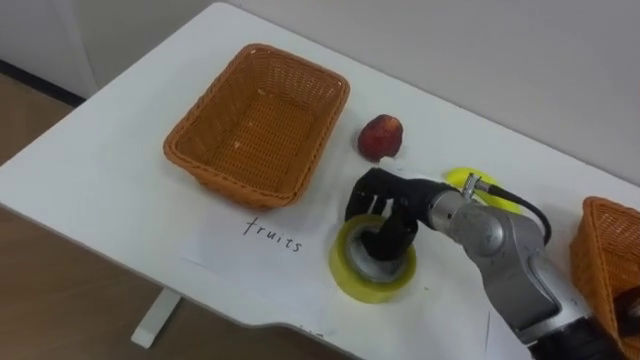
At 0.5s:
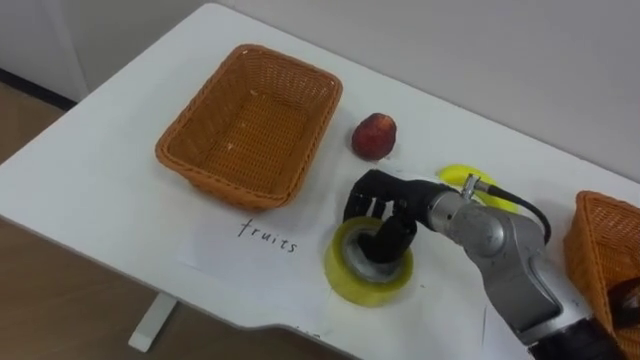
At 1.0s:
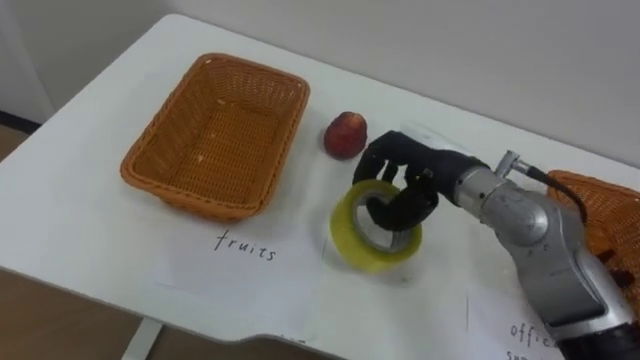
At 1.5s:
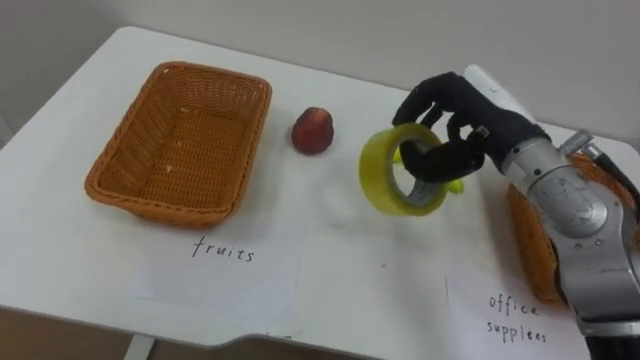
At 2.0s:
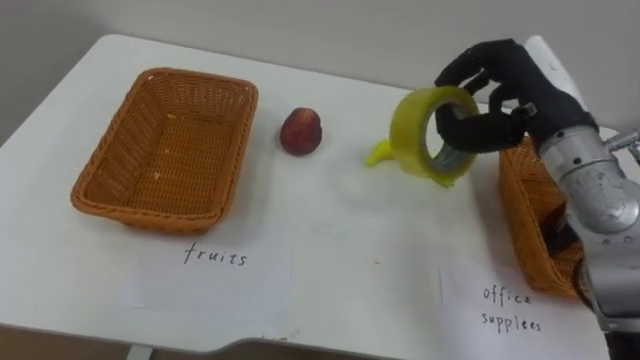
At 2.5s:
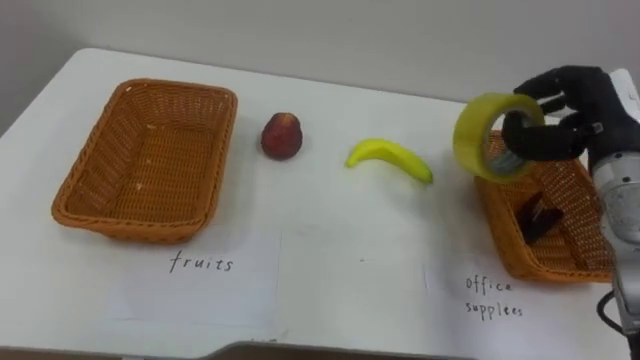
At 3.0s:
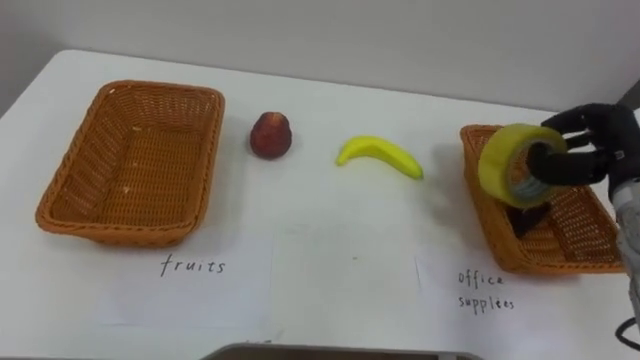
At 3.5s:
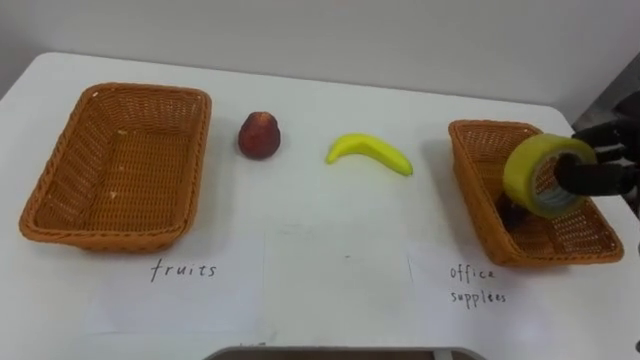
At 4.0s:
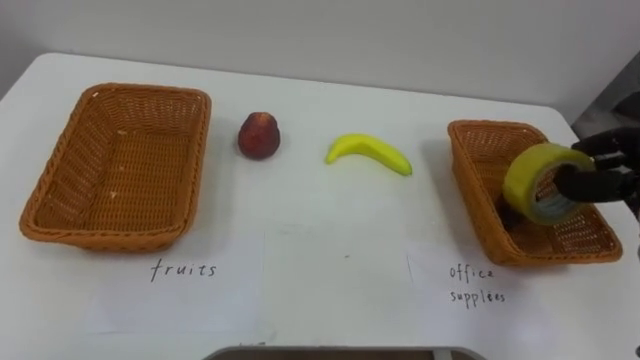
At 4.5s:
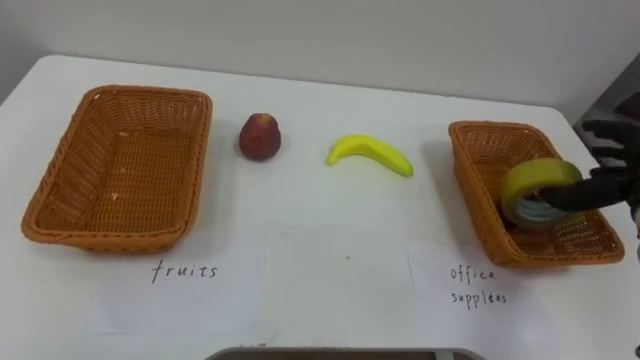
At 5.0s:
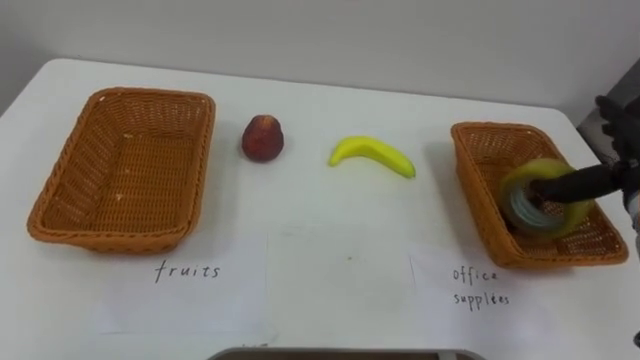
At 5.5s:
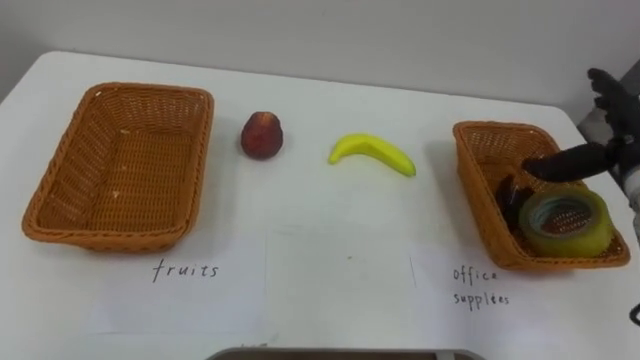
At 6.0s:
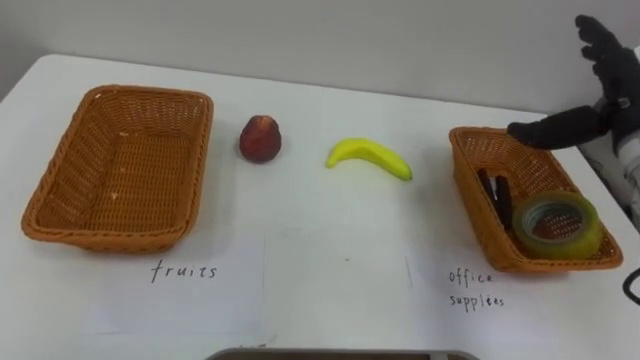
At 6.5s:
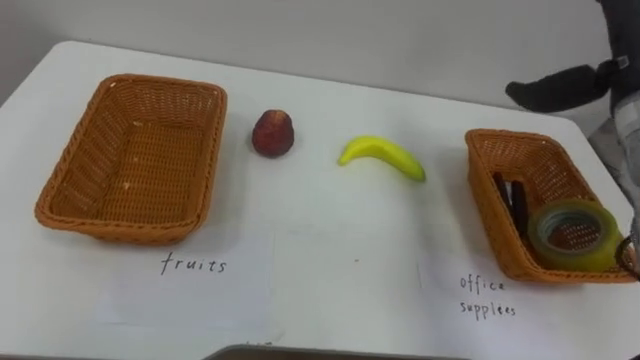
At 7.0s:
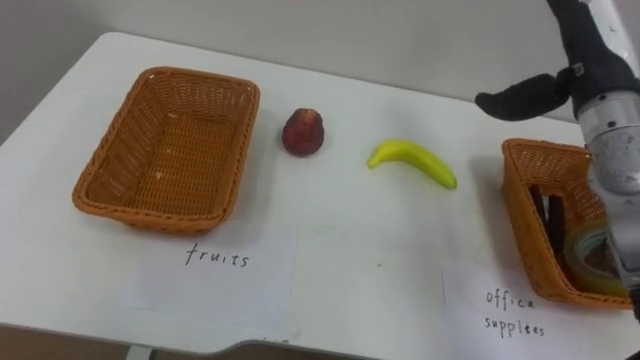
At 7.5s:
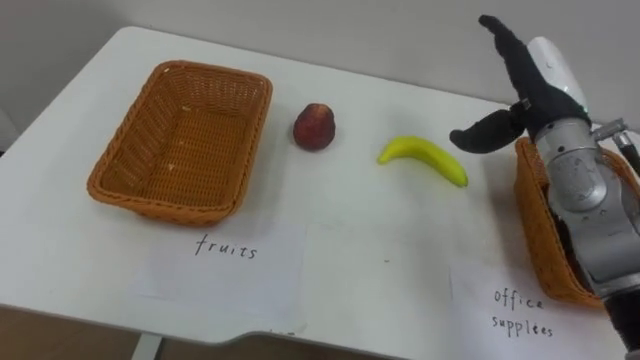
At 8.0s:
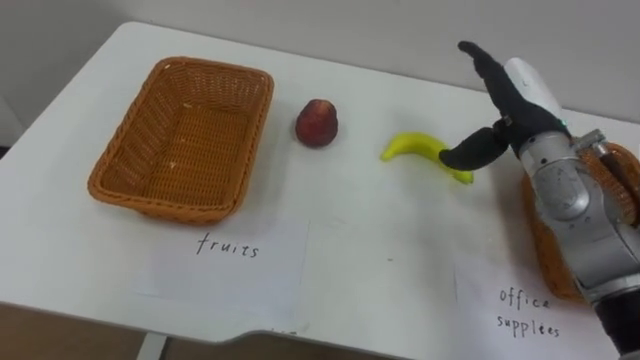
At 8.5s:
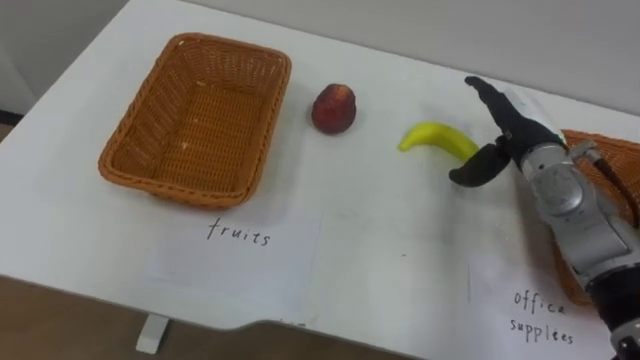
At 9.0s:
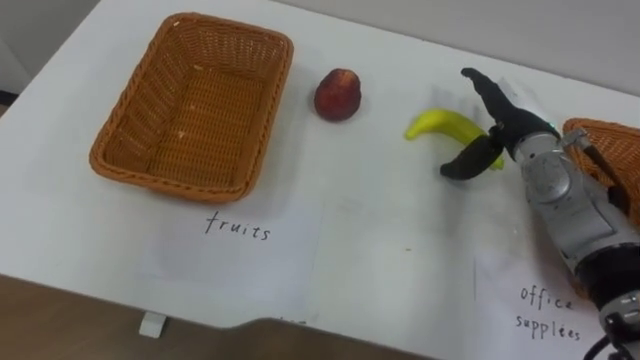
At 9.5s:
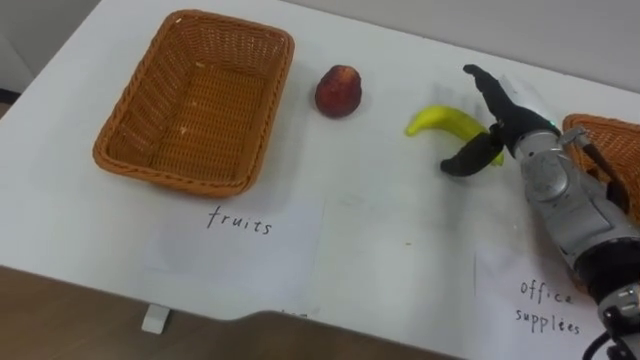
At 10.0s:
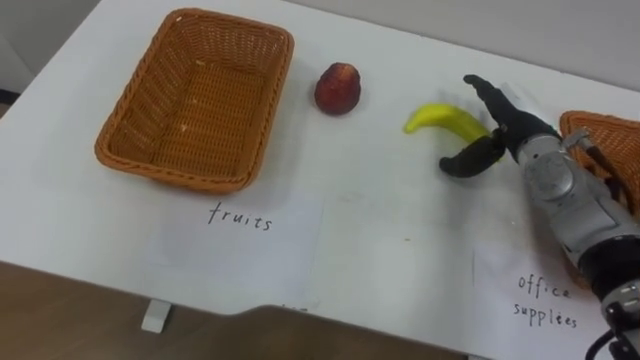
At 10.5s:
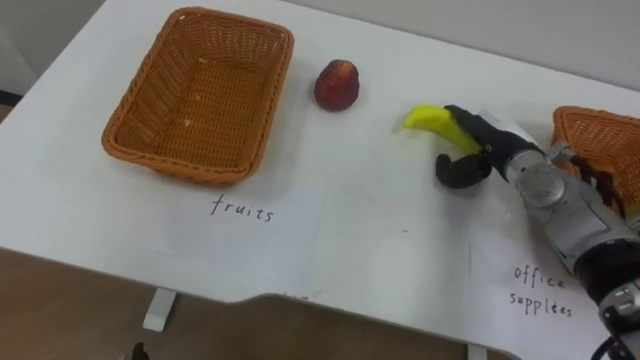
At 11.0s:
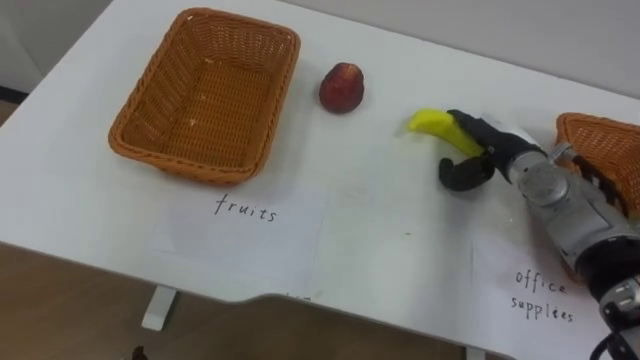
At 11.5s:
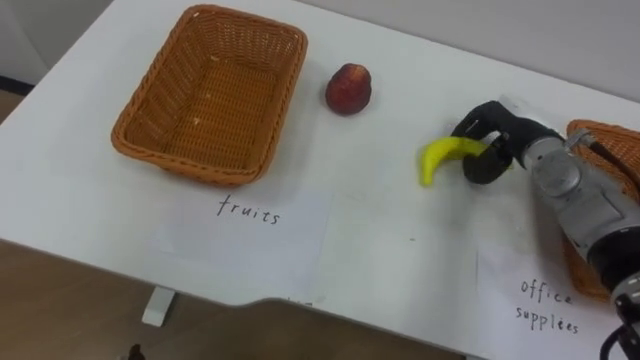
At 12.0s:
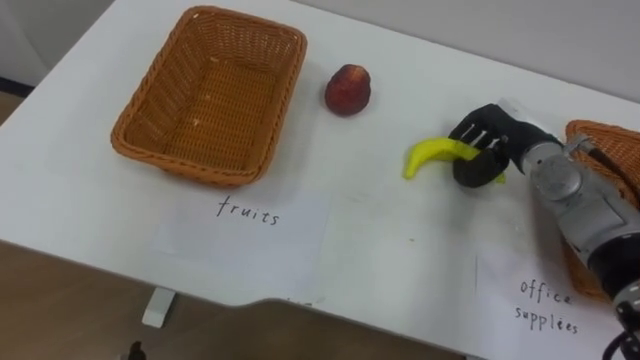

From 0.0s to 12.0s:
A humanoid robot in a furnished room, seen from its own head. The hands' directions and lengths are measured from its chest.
Task of the whole recording: Separate the items on the table and place them into the two baskets.
From 0.0s to 2.0s: The right hand goes about 15 cm upward and to the right.
From 6.0s to 8.0s: The right hand moves to the left, some 10 cm.
From 8.0s to 10.0s: The right hand heads downward, covering some 5 cm.
From 10.0s to 12.0s: The right hand closes its fingers.

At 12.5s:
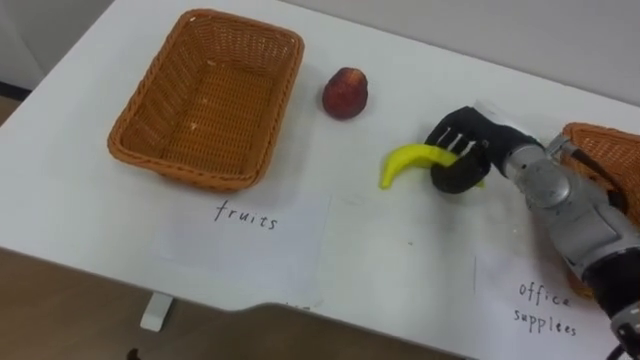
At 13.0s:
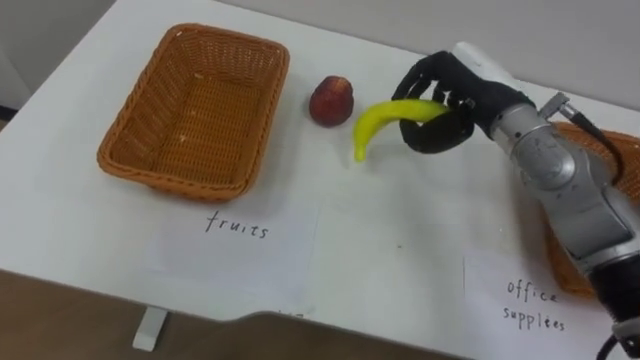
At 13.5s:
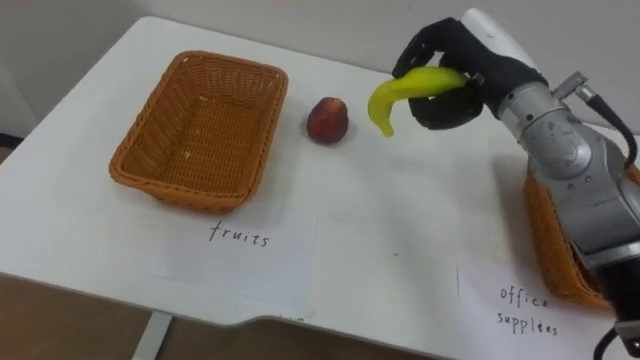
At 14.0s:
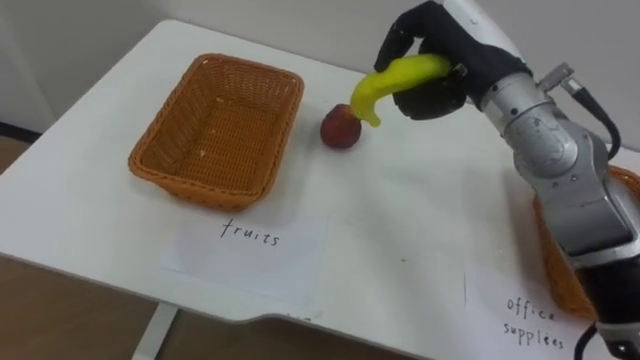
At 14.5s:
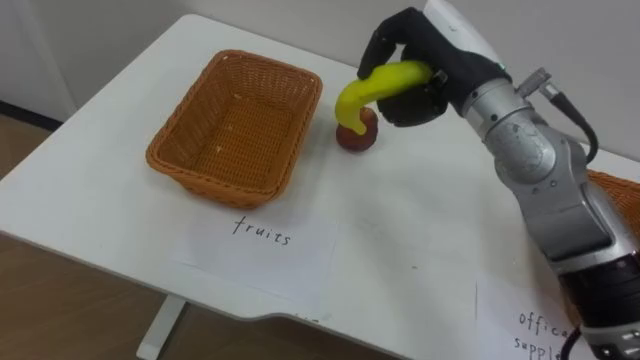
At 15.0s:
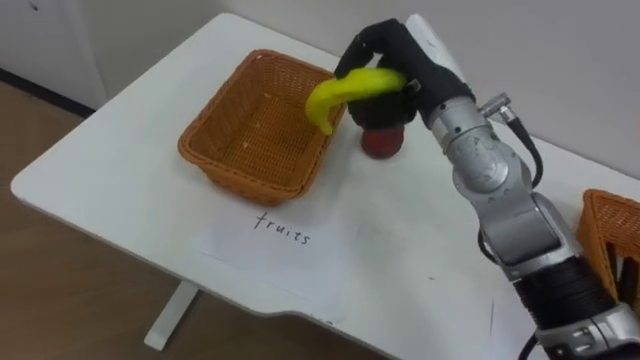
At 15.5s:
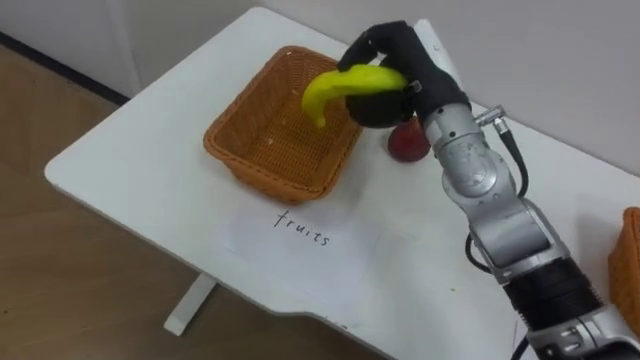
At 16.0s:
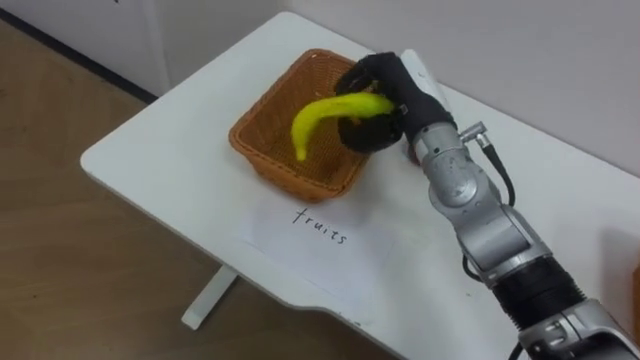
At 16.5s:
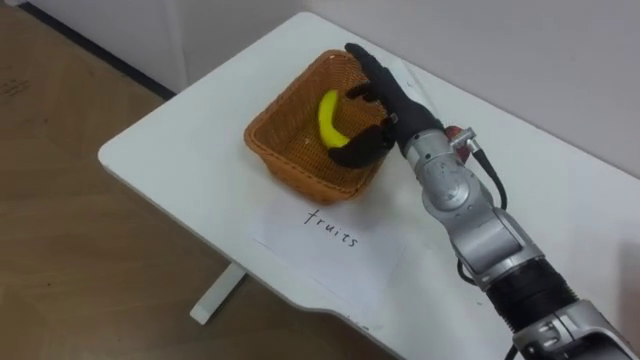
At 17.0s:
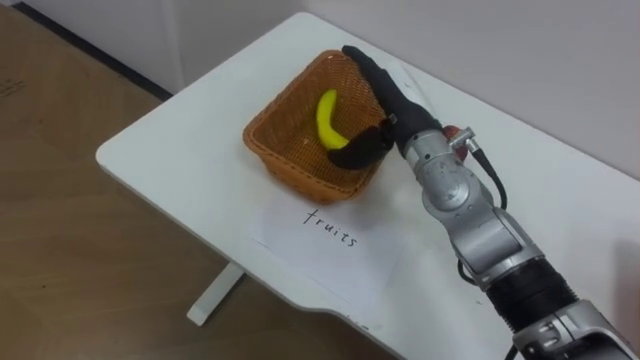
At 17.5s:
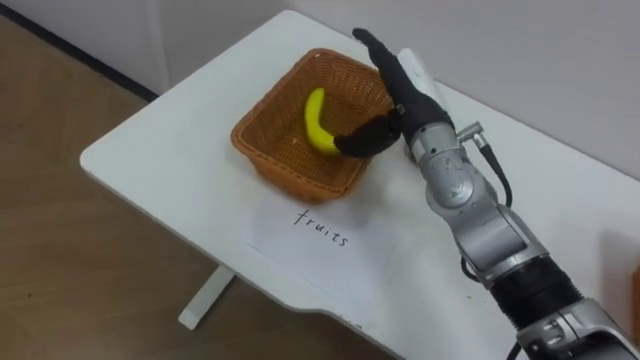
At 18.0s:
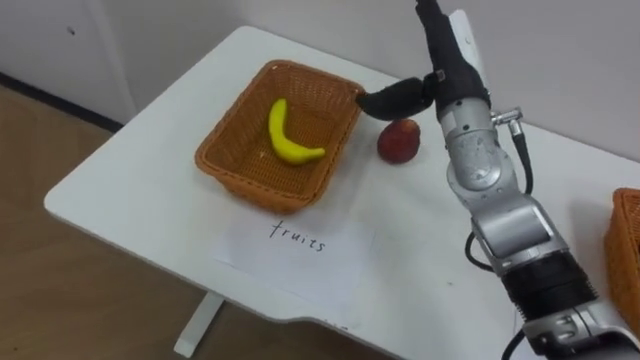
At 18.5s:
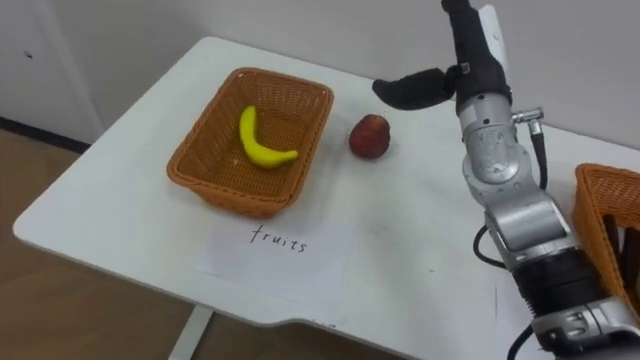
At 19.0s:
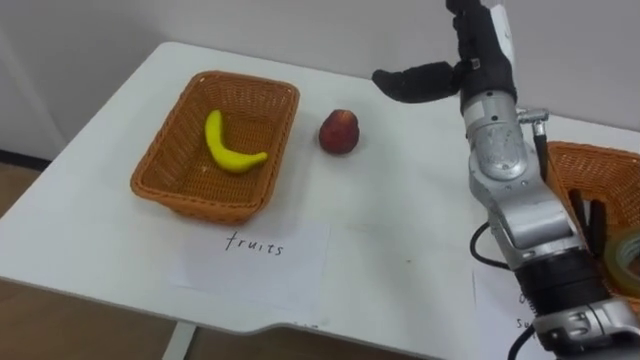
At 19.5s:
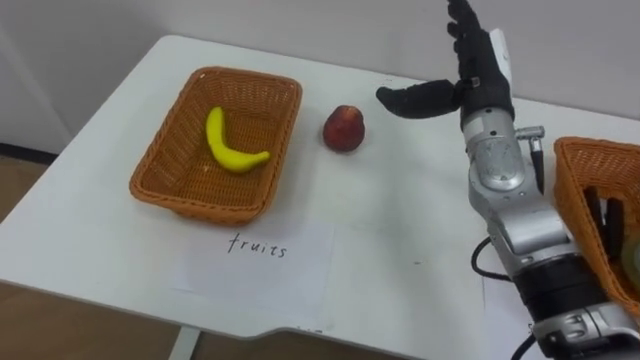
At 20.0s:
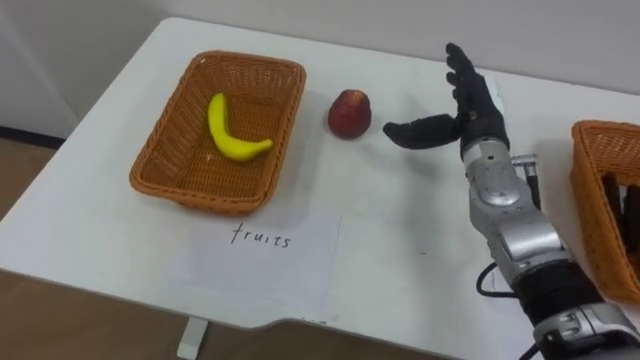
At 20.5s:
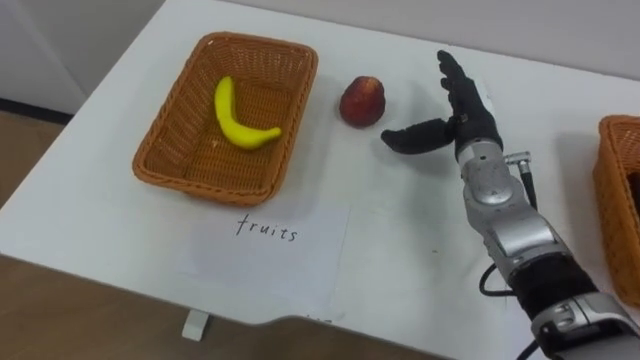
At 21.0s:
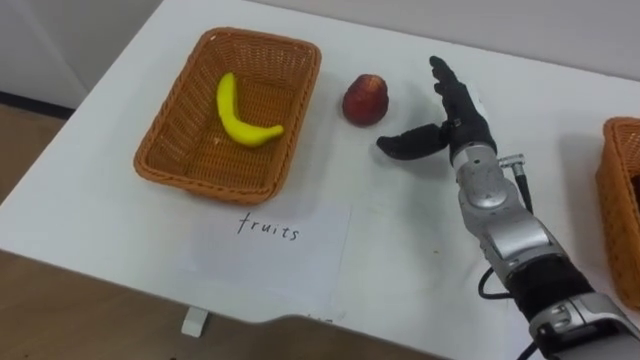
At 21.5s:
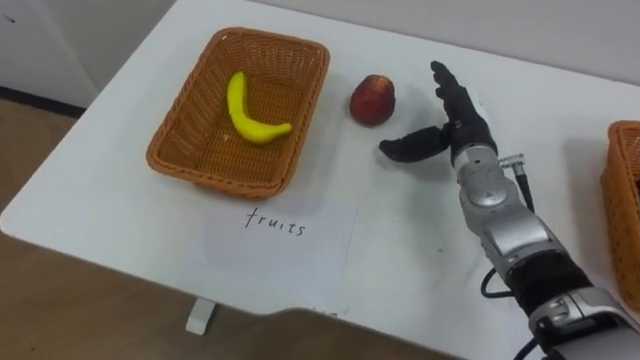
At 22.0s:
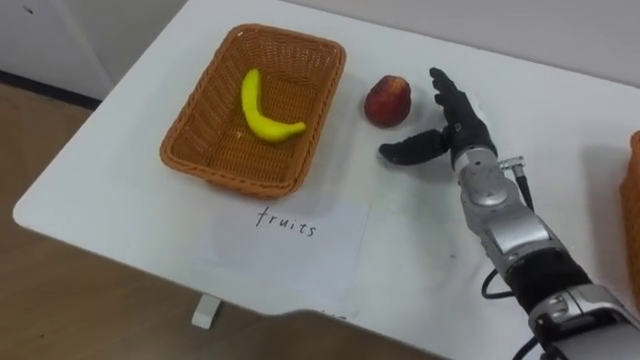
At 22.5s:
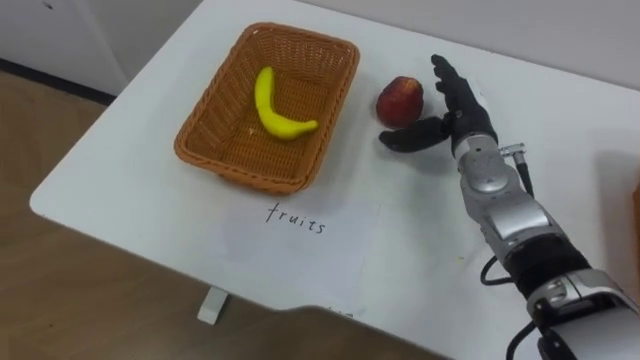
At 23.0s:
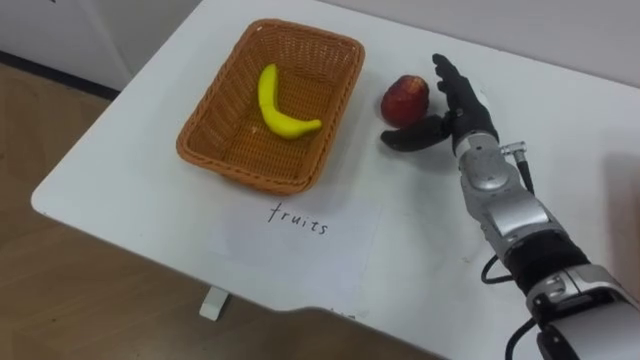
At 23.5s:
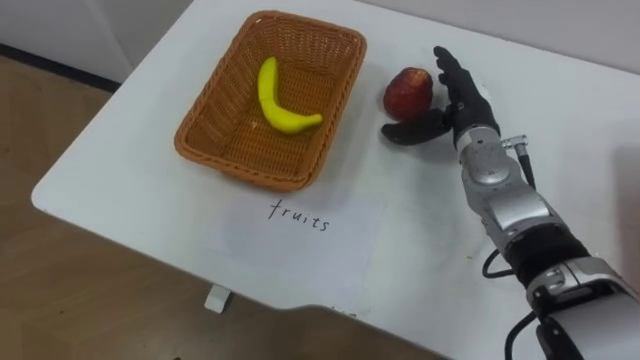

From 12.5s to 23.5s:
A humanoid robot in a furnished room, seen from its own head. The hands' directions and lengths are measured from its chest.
Task of the whole recording: Separate the items on the table and place them into the two baskets.
From 12.5s to 14.5s: The right hand shifts about 15 cm upward and to the left.
From 14.5s to 16.0s: The right hand shifts roughly 5 cm downward.
From 16.0s to 18.0s: The right hand ends up about 5 cm from where it was, and opens its fingers.
From 18.0s to 20.0s: The right hand moves downward, some 10 cm.
